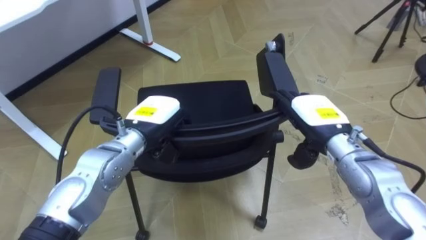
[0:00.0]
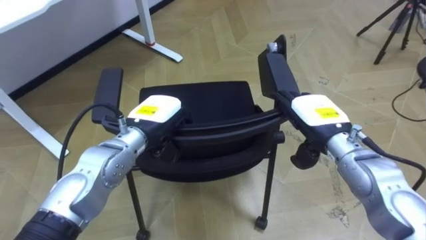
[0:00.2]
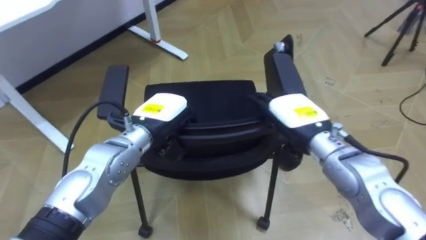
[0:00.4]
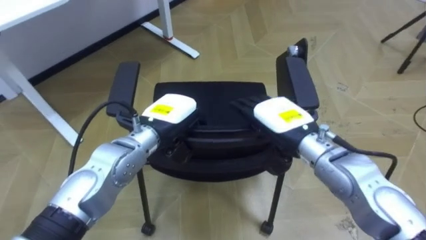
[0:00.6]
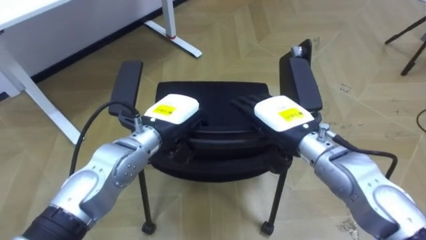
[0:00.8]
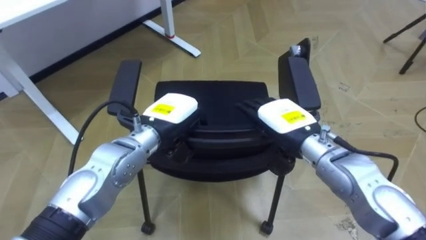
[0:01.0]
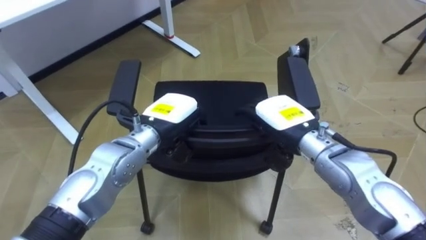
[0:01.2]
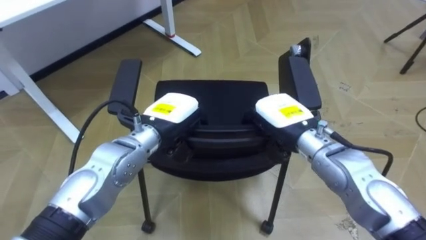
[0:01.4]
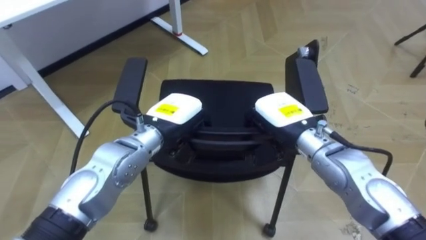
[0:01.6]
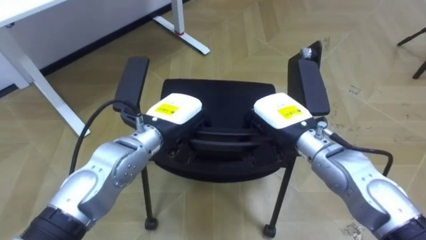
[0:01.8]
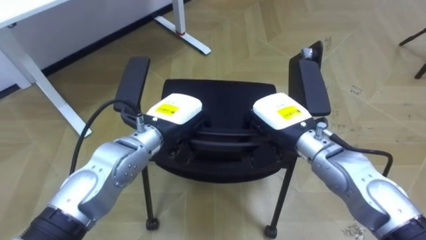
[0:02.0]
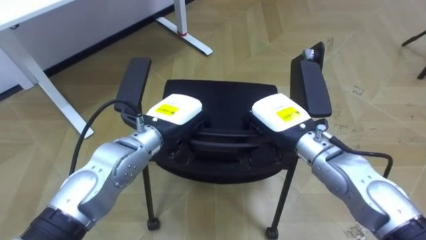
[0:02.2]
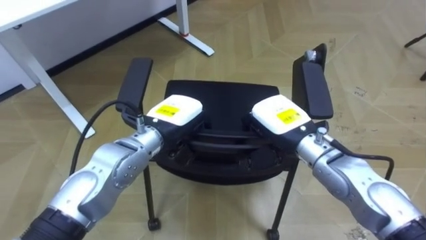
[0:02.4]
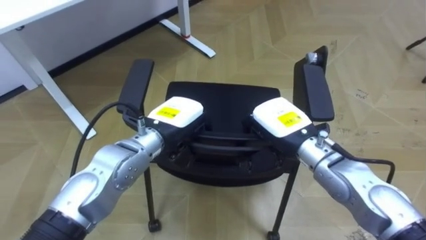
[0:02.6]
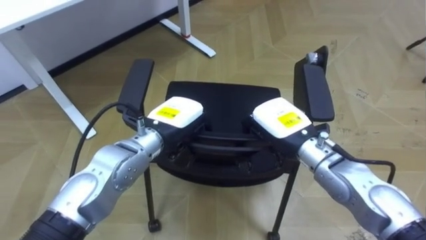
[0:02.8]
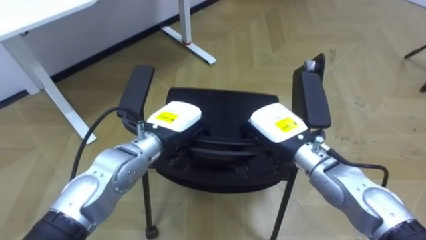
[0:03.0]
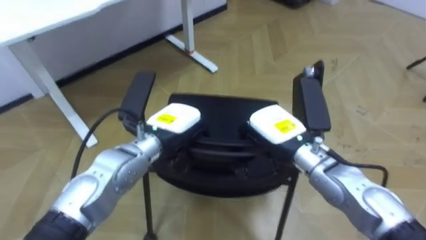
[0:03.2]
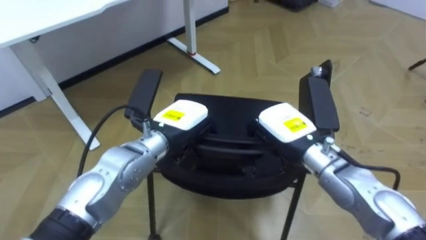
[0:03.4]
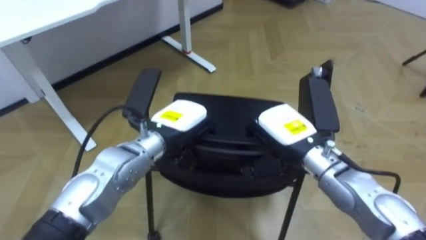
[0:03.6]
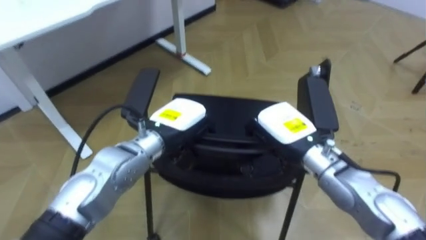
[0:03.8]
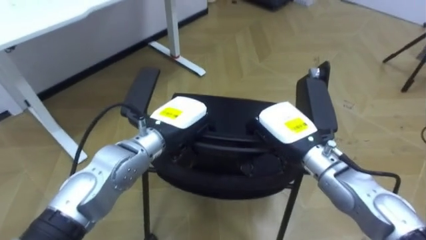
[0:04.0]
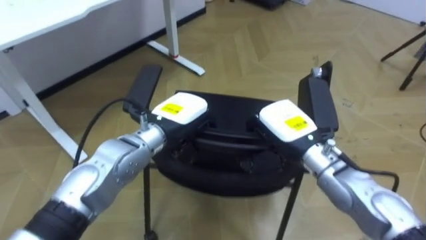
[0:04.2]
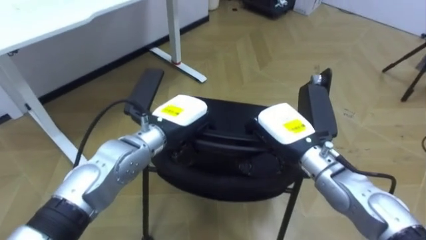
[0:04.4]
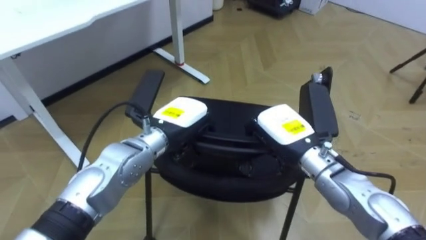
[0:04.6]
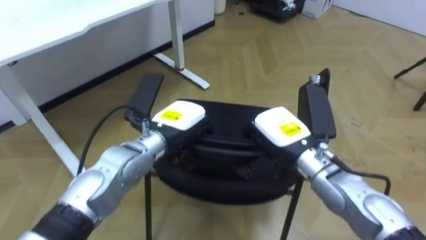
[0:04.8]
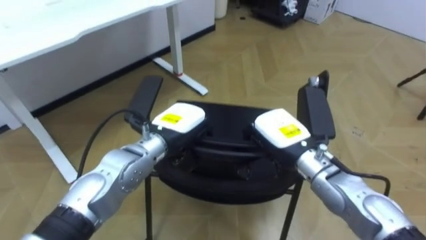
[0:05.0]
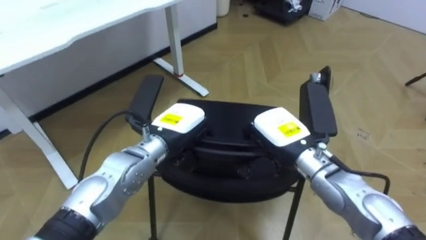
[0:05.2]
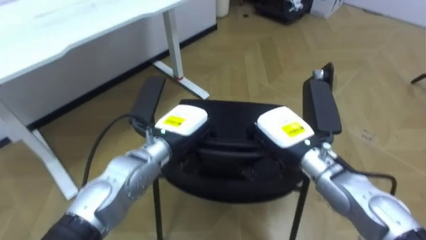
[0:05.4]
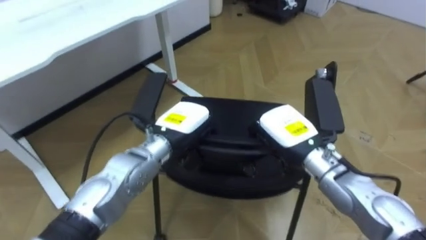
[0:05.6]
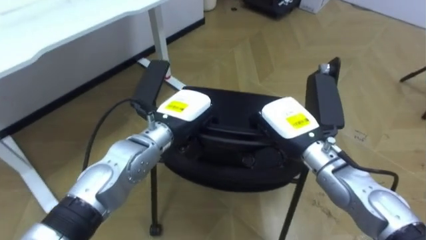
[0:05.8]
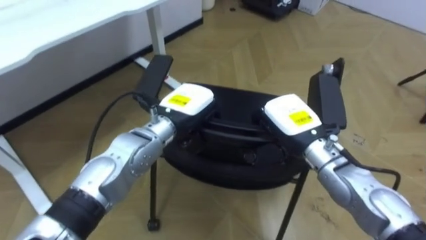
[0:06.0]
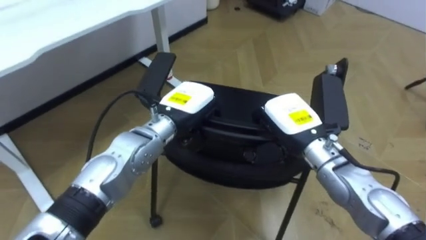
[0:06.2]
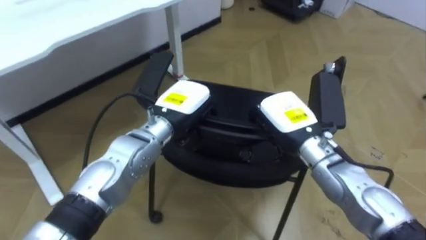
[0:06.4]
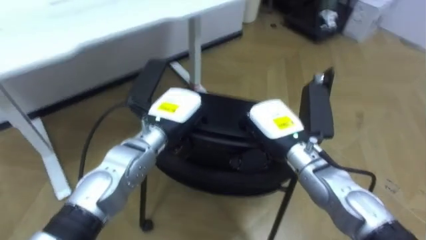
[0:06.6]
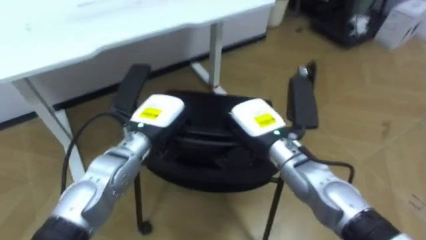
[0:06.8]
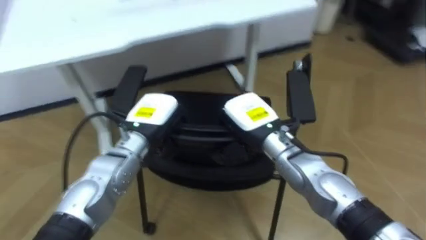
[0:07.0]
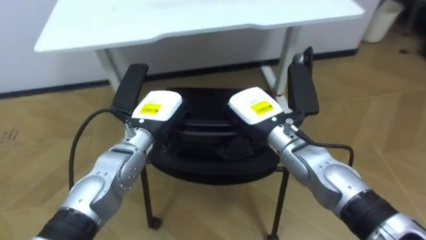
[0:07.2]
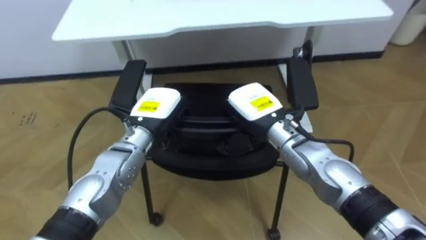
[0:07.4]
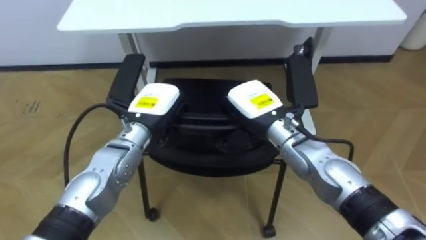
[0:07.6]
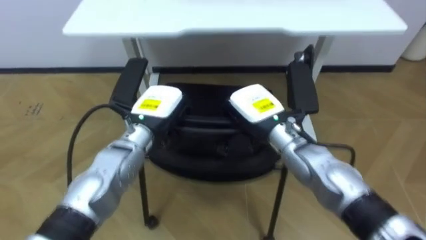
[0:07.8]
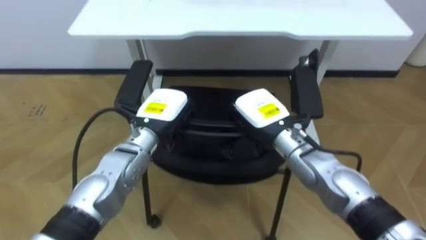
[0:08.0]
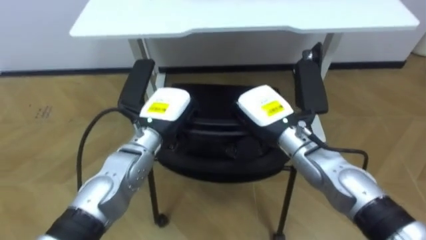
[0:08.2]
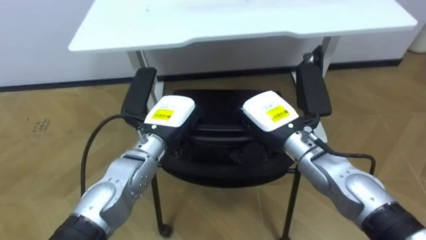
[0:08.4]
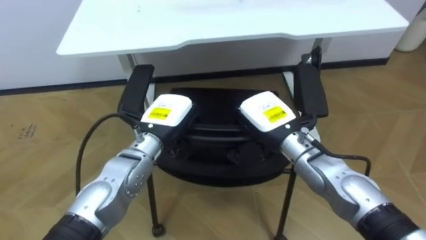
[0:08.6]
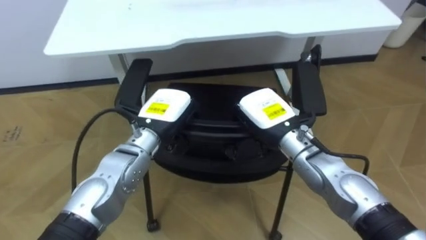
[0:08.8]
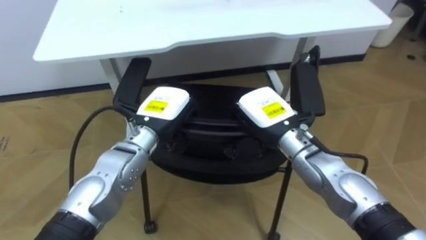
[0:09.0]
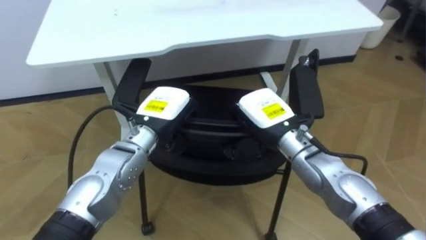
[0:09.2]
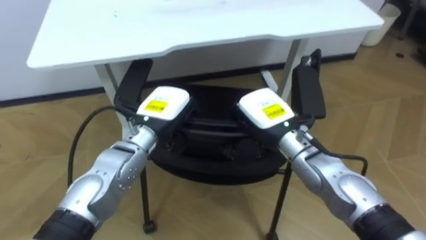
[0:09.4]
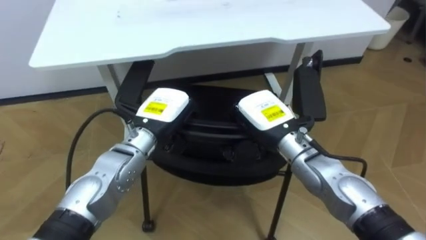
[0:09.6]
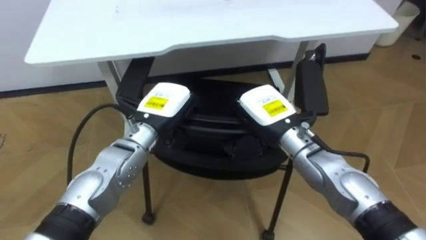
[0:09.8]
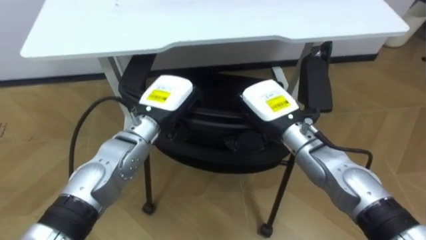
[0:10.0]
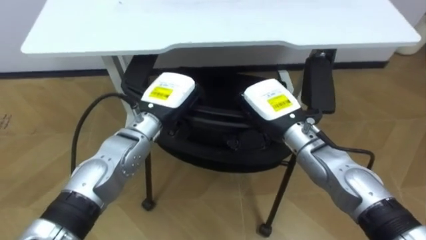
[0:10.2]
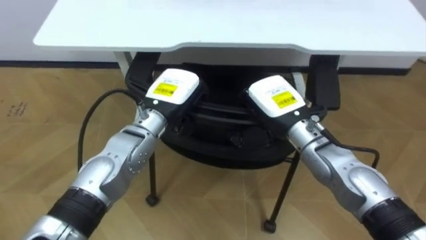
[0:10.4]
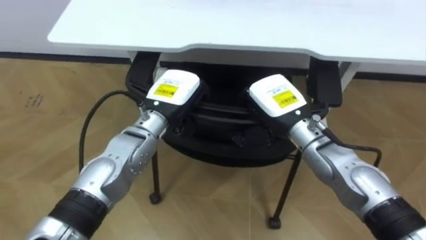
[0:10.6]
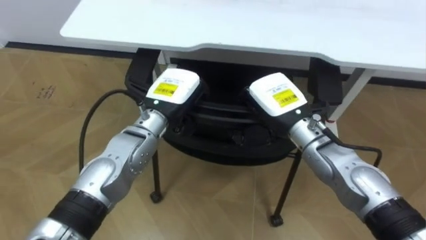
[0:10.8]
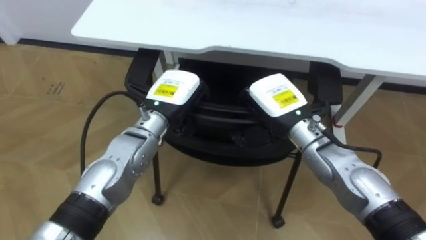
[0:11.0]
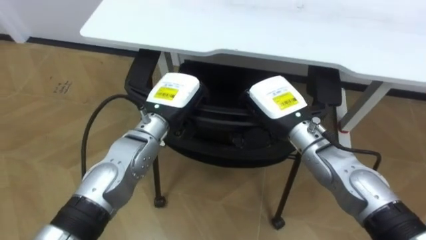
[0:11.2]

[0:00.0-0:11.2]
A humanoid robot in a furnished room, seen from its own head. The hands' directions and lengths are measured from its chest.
Task of the whole recording: Push the chair under the table.
0:00.0 to 0:01.6: The right hand heads to the left, covering roughly 5 cm, and closes up.
0:06.4 to 0:08.0: The robot turns to its left by some 40 degrees.
0:09.6 to 0:11.2: The robot turns to its left by approximately 25 degrees.

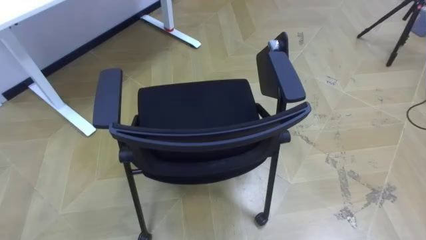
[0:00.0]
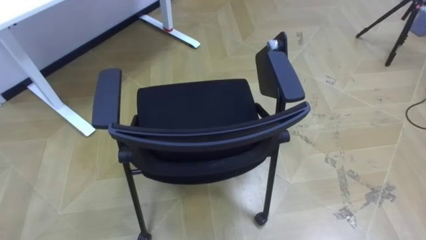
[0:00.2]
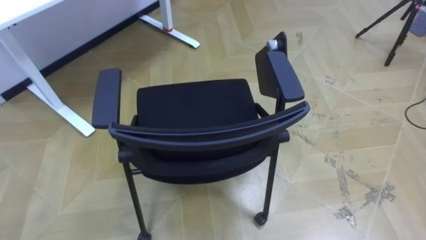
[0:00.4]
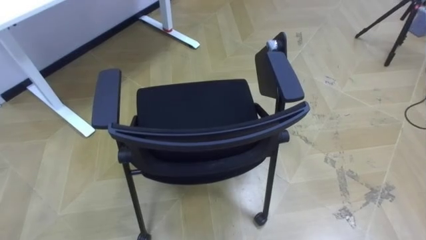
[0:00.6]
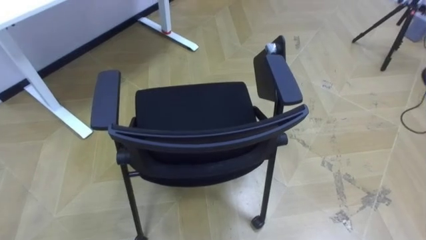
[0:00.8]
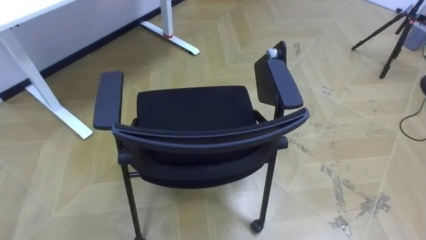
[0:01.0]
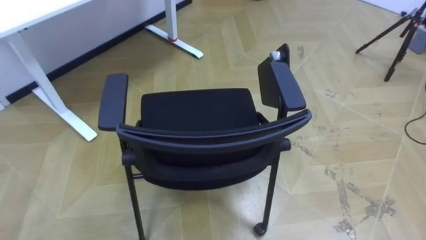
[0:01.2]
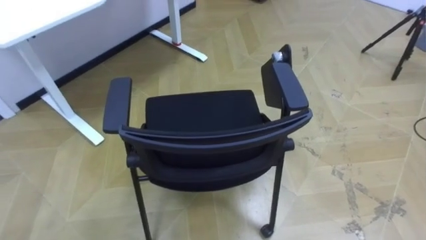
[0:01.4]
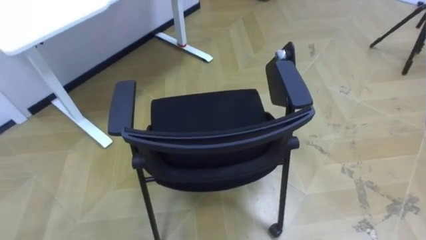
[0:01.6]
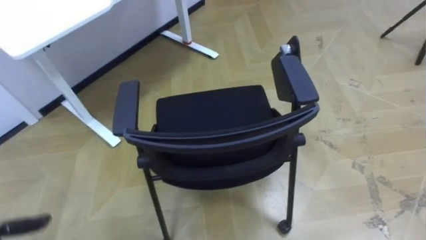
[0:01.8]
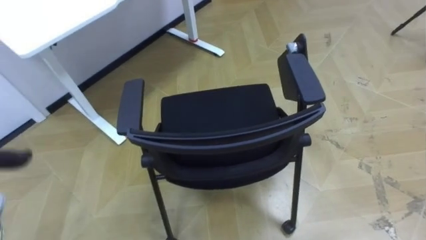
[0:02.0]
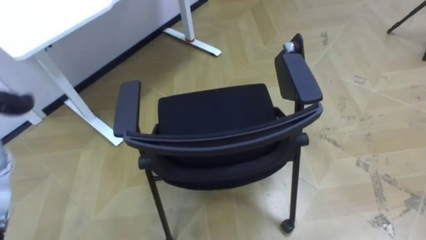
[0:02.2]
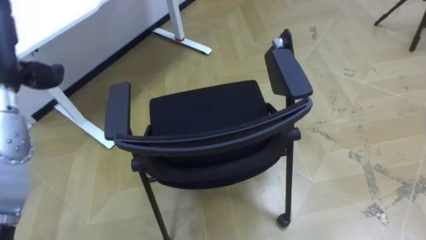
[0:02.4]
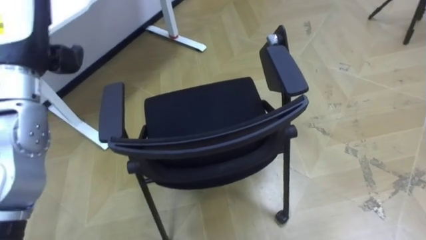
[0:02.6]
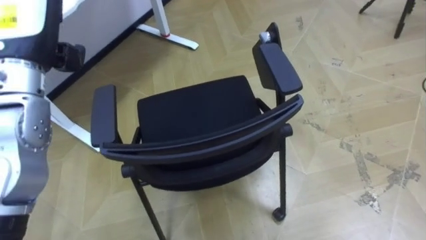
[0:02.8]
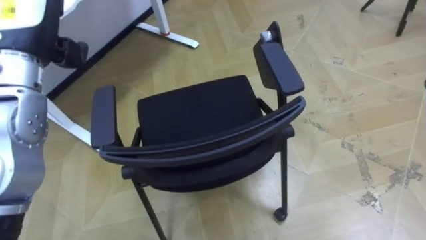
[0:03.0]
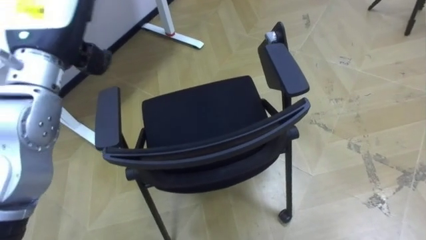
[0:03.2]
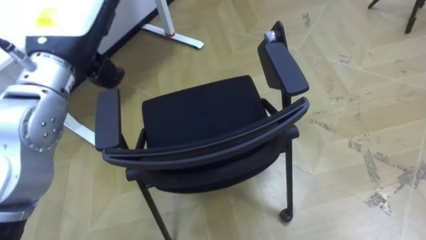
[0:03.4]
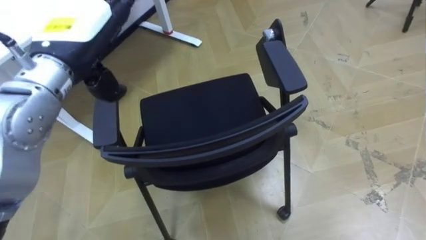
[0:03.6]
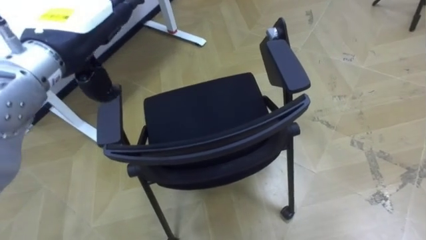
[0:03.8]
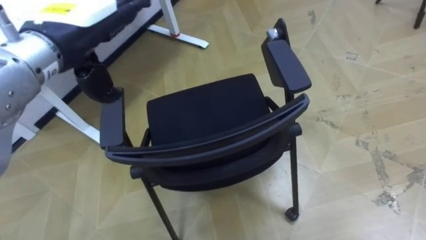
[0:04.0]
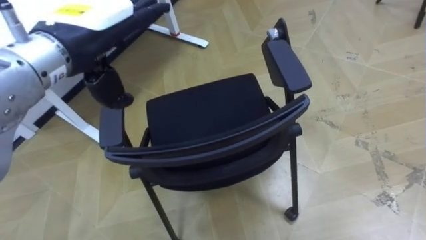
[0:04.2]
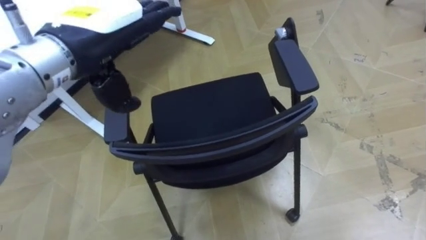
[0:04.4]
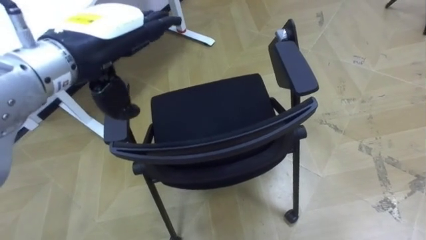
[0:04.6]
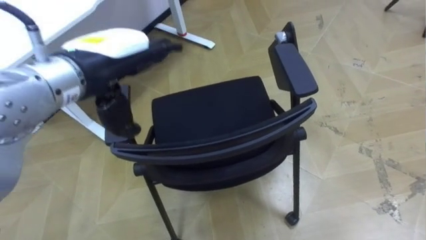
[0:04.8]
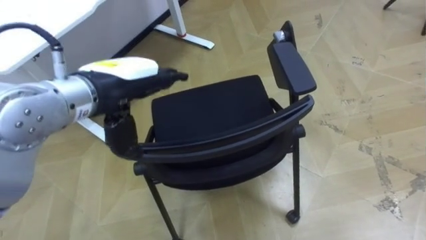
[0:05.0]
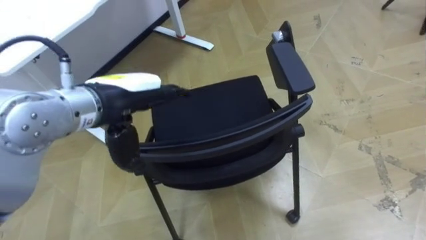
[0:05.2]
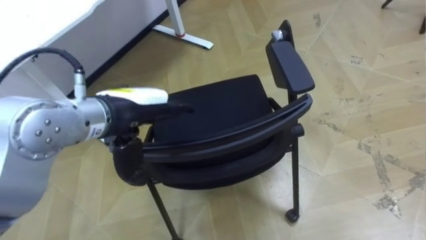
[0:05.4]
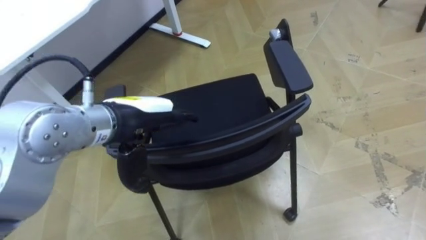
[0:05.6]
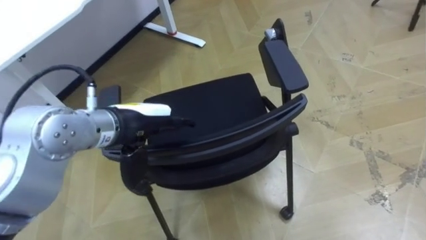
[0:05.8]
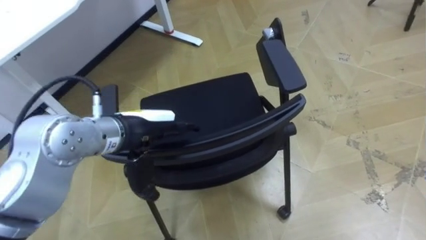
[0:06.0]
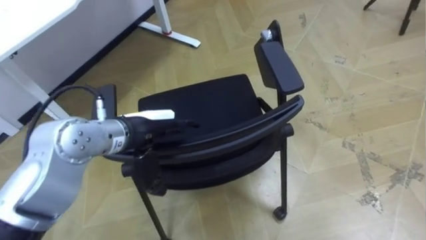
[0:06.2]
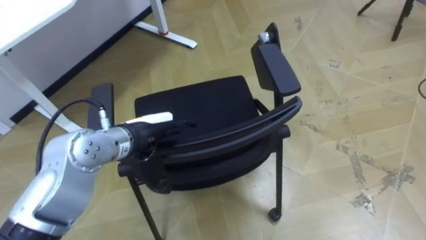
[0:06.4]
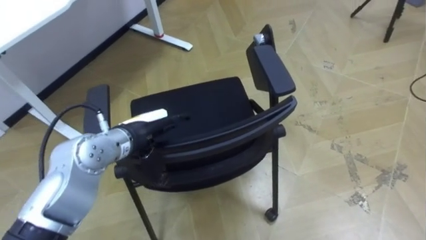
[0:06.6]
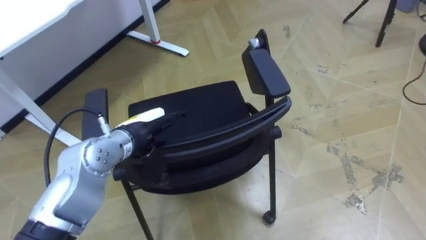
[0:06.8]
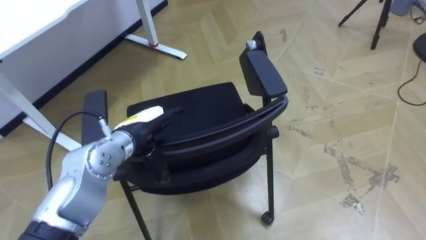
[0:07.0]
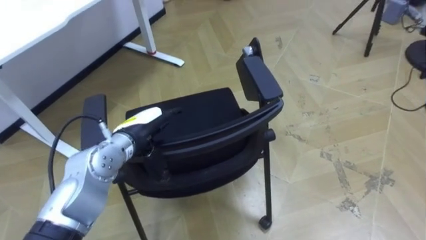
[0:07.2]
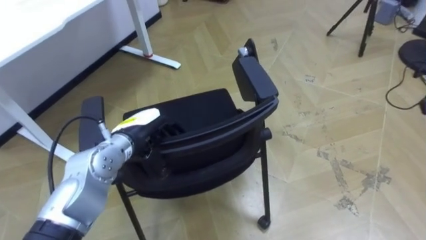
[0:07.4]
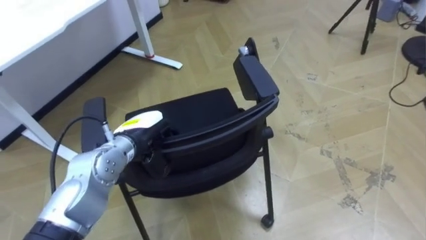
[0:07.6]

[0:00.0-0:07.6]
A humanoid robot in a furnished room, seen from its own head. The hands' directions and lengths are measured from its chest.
Task of the whole recording: Push the chair under the table.
0:03.0 to 0:04.6: The left hand is displaced to the right by roughly 10 cm.
0:04.6 to 0:06.0: The left hand heads downward, covering roughly 15 cm.
0:06.0 to 0:07.6: The left hand heads downward, covering some 10 cm, and closes up.
